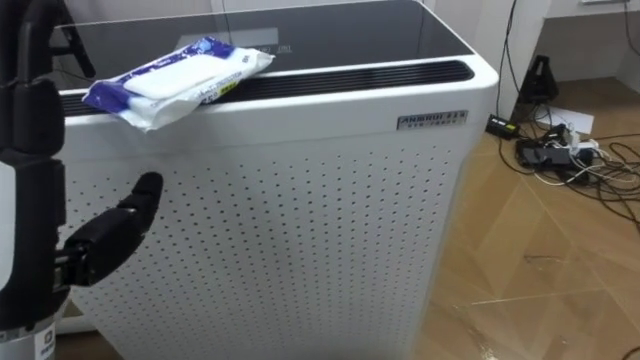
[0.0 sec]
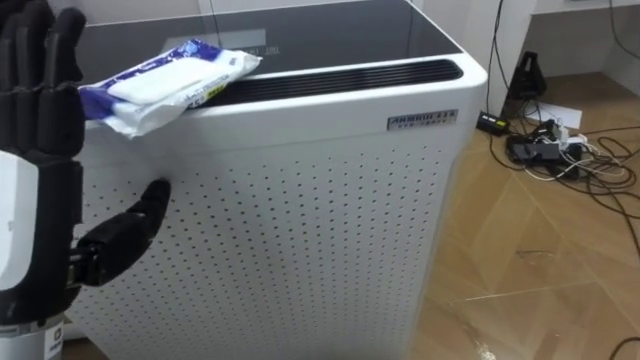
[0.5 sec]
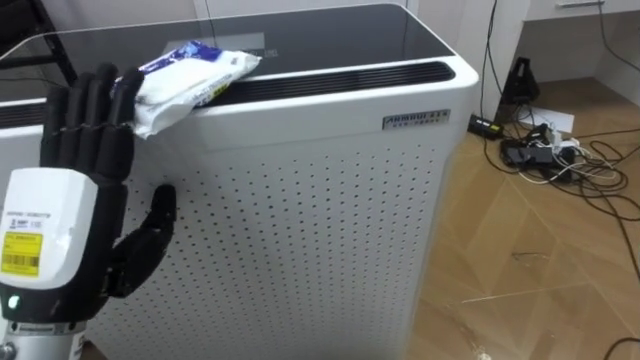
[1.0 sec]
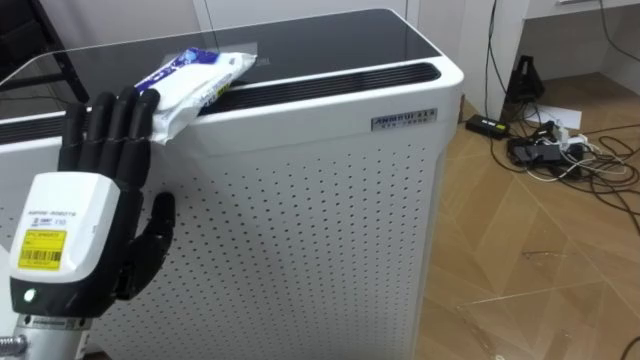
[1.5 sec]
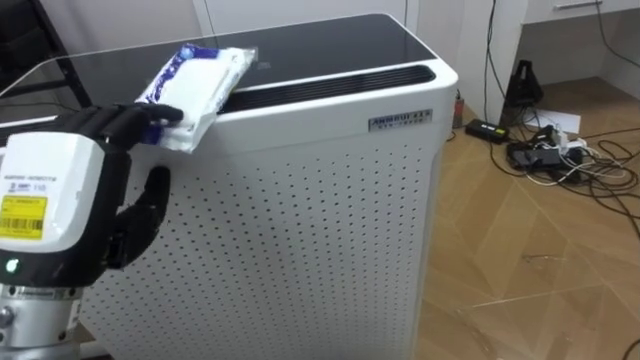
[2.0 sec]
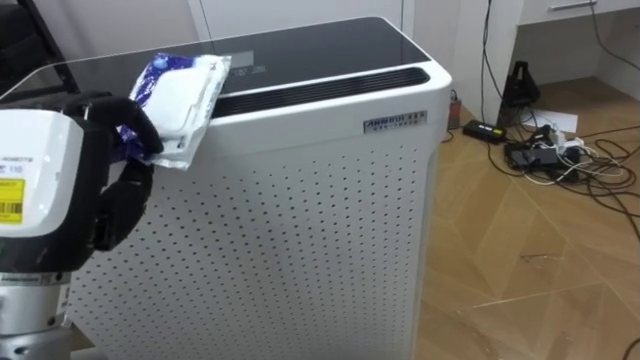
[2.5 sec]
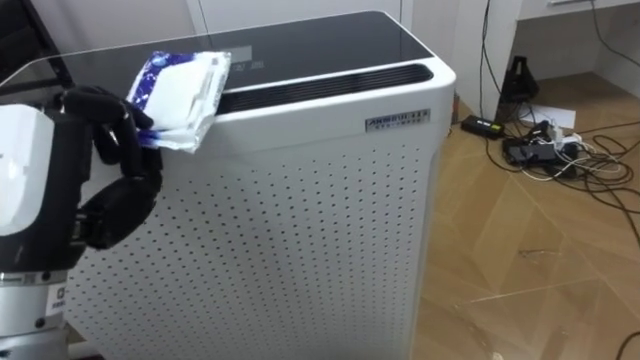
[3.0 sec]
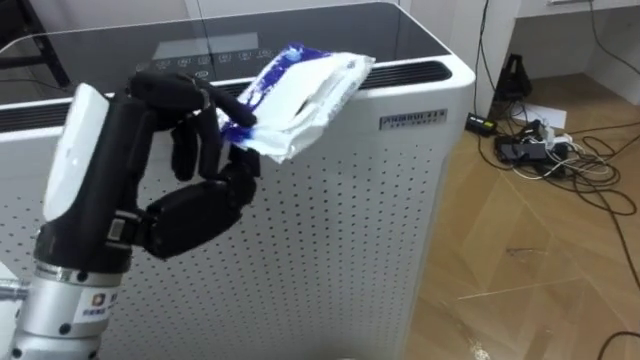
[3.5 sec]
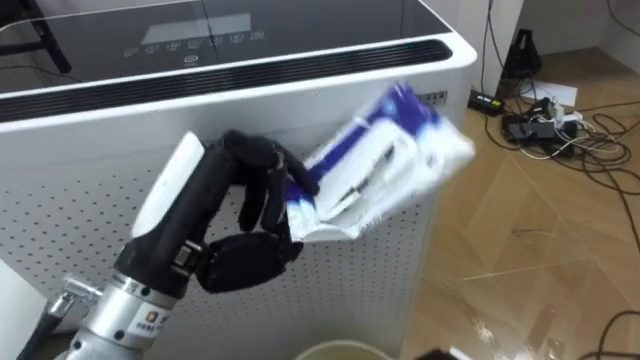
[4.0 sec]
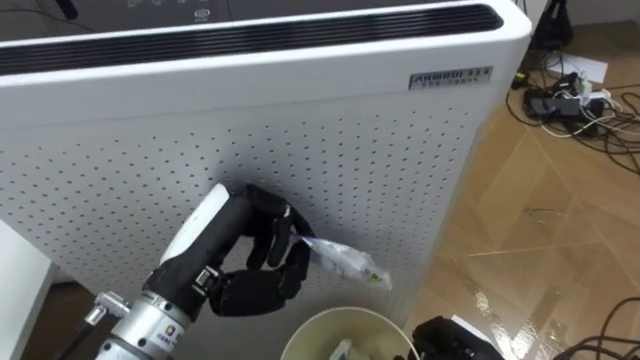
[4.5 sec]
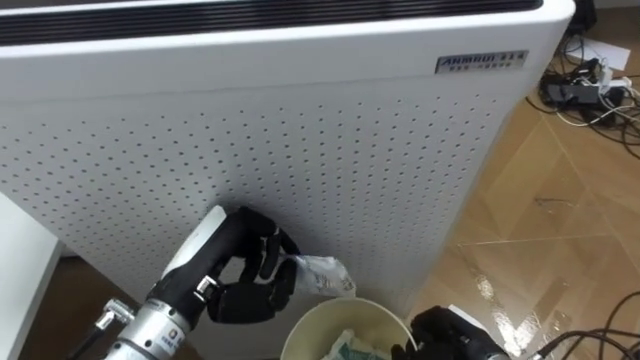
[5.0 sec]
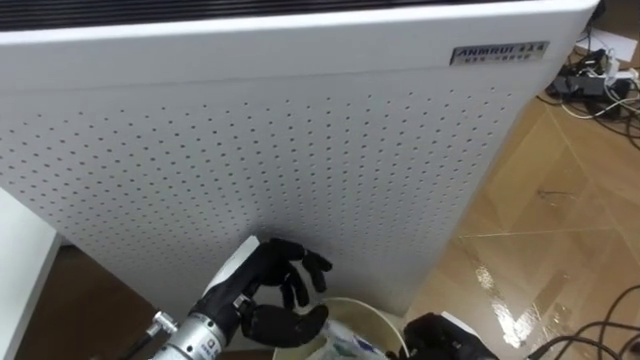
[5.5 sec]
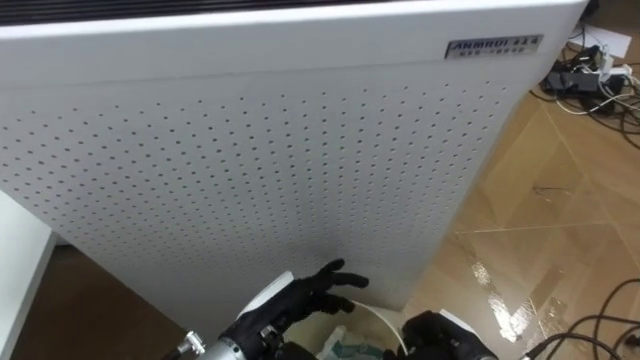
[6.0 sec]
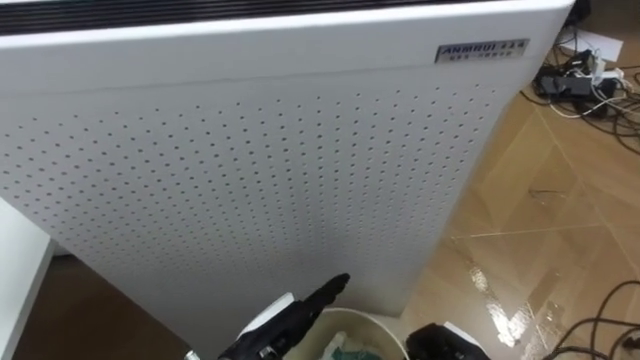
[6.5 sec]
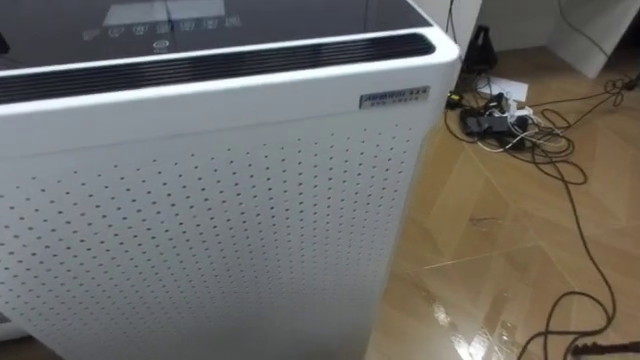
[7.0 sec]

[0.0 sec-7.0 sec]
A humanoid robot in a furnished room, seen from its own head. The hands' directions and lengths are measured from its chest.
Task of the whole recording: Pick up the light blue package, the candy box, and the dark blue package separately, and put them into the trash can held in your right hand.
0.0 sec to 2.0 sec: The left hand closes its fingers.
2.0 sec to 3.5 sec: The left hand heads to the right, covering roughly 5 cm, and closes up.
3.5 sec to 5.0 sec: The left hand moves downward, roughly 15 cm.

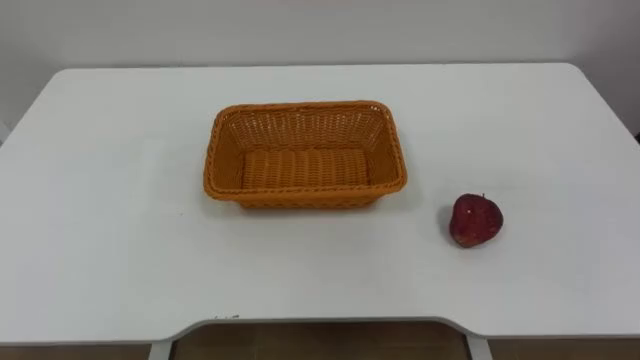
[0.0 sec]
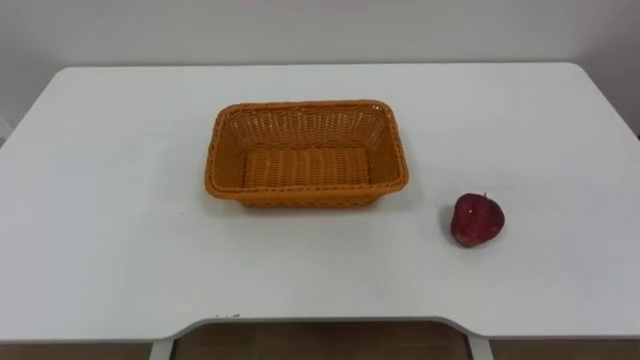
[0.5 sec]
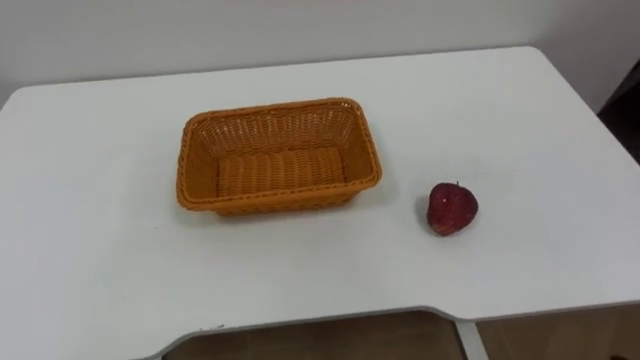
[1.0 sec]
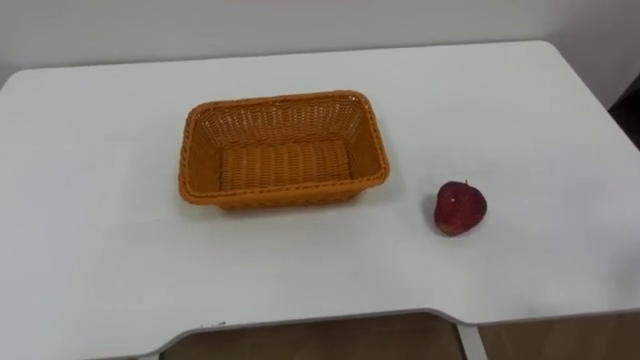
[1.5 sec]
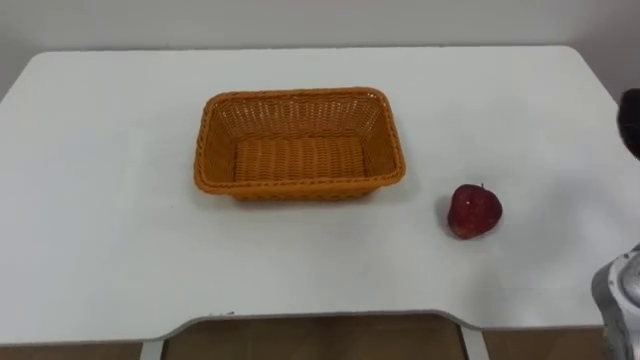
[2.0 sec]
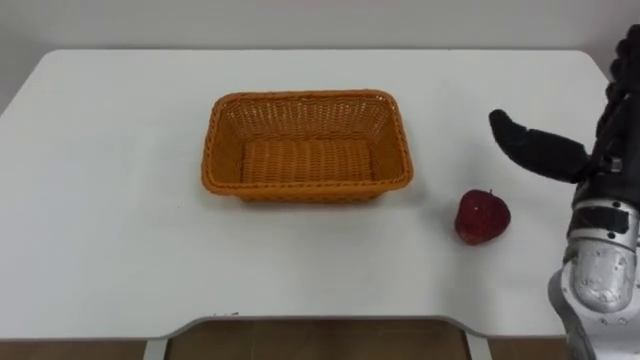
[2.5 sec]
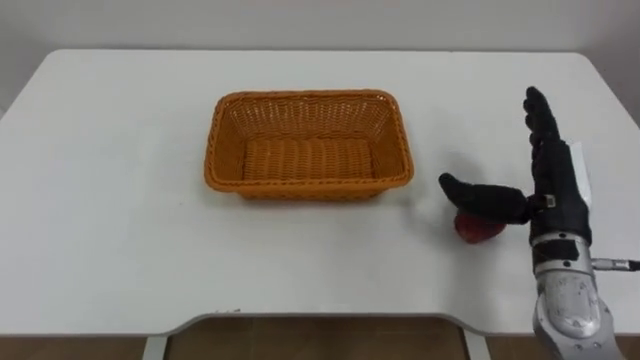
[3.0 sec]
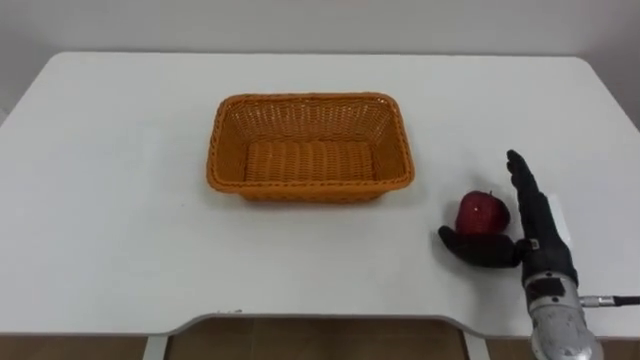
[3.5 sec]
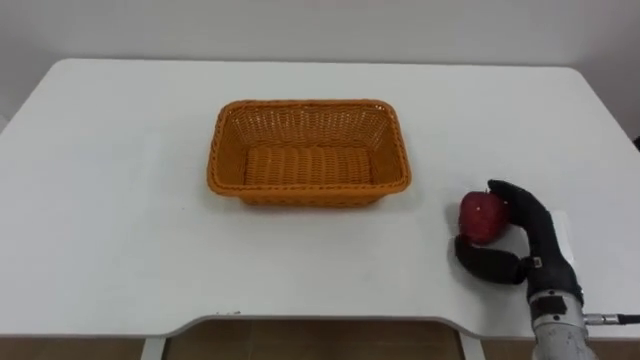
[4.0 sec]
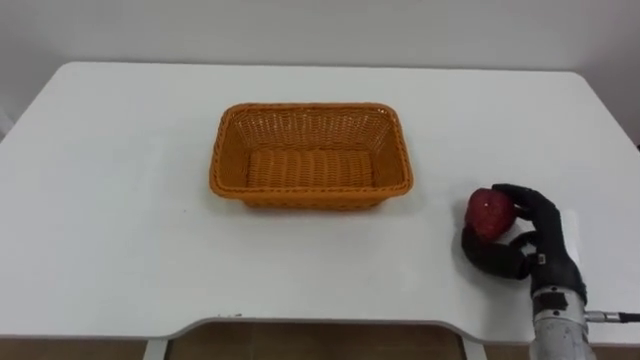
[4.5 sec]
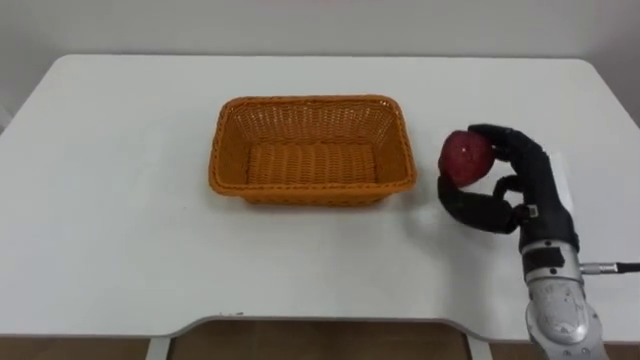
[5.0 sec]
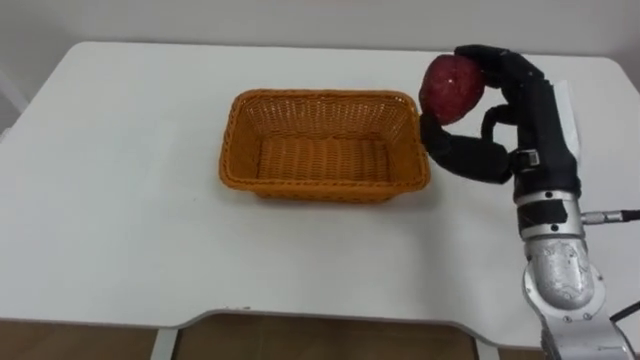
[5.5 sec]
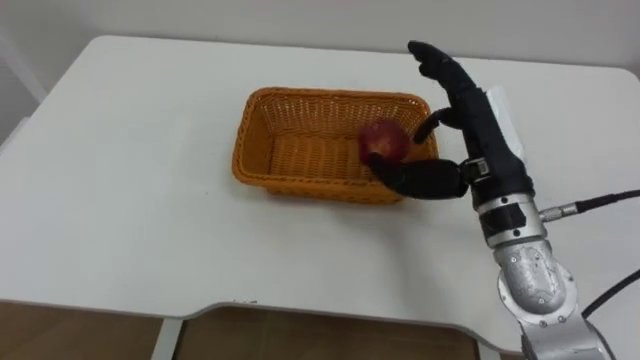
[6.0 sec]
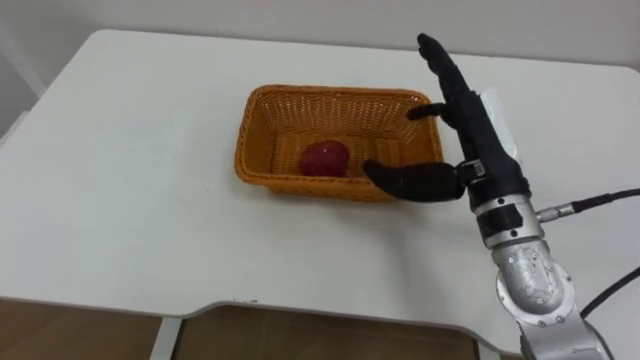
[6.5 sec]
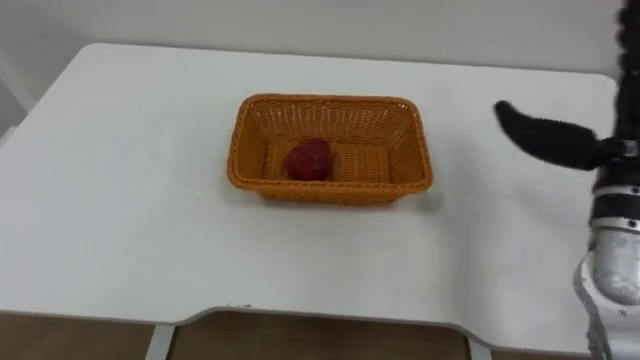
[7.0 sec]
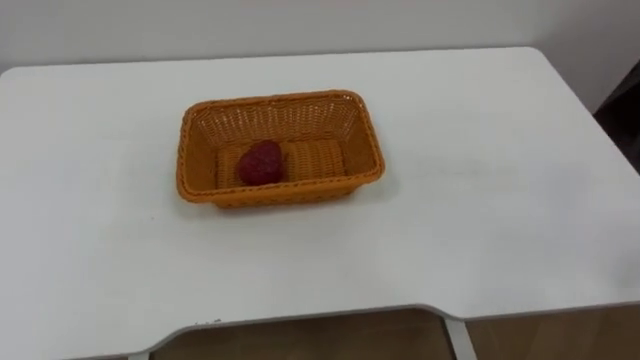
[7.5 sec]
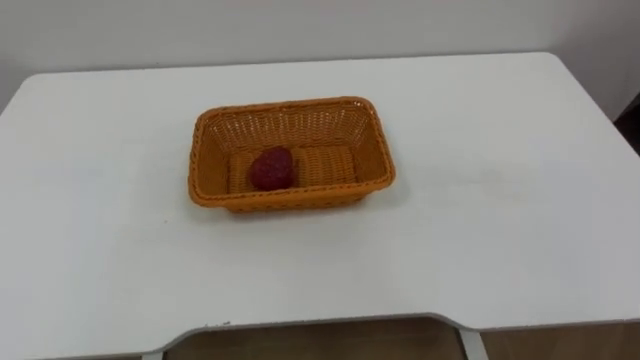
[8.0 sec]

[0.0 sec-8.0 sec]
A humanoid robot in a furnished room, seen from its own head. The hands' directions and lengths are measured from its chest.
Task of the whole recording: Pick the apple and place it in the box.
4.0 sec to 6.0 sec: The right hand is displaced upward and to the left by roughly 20 cm.

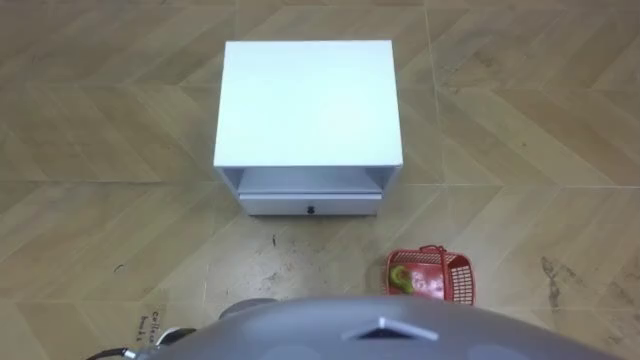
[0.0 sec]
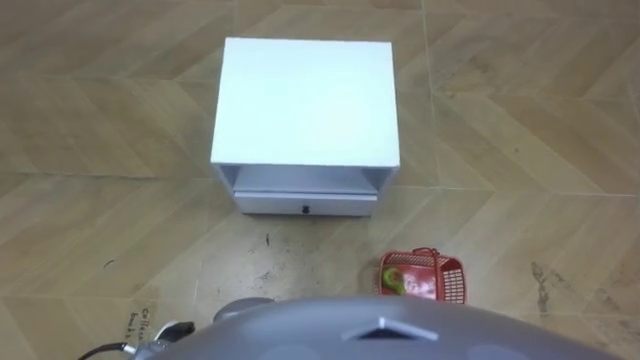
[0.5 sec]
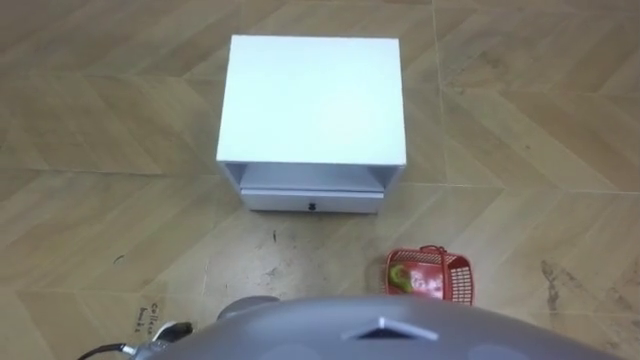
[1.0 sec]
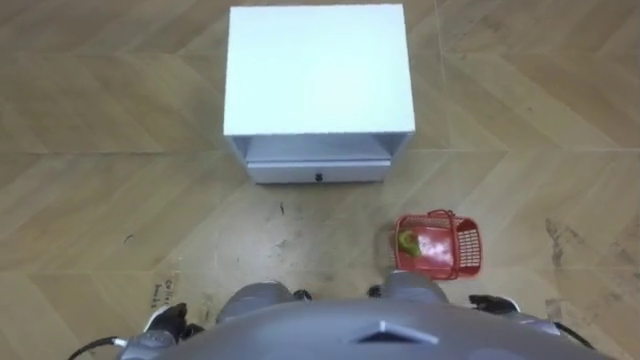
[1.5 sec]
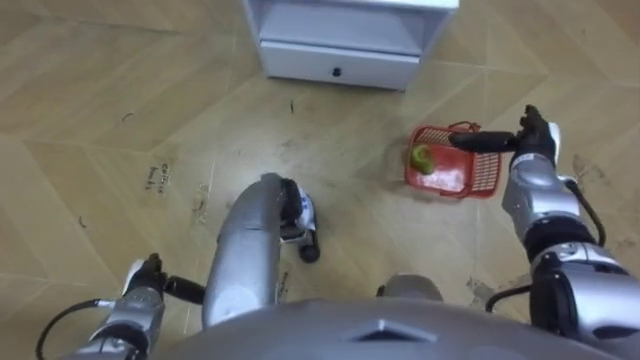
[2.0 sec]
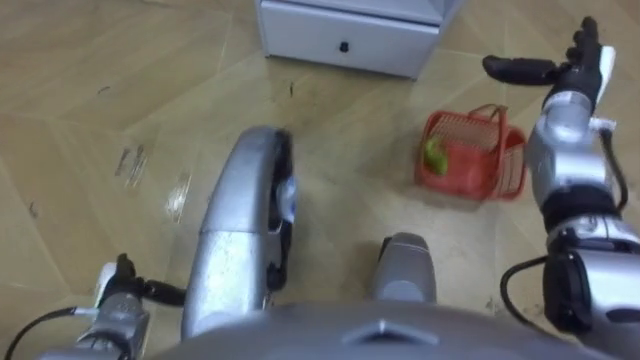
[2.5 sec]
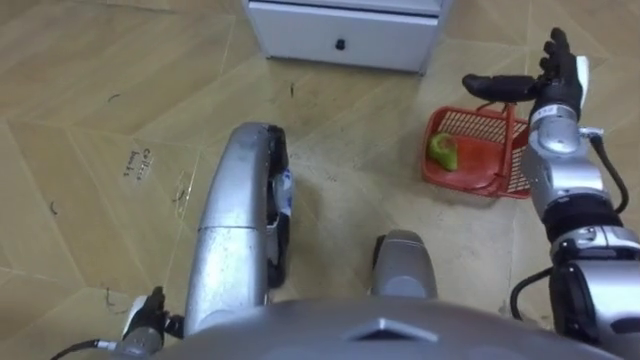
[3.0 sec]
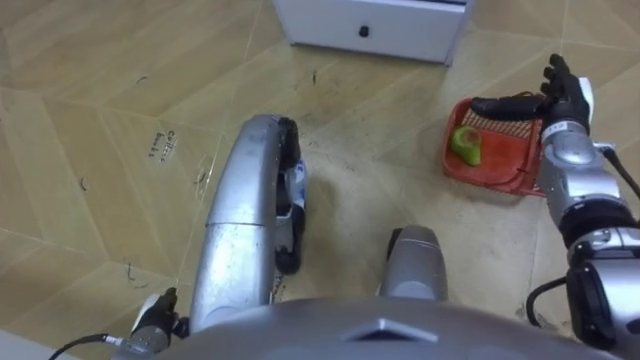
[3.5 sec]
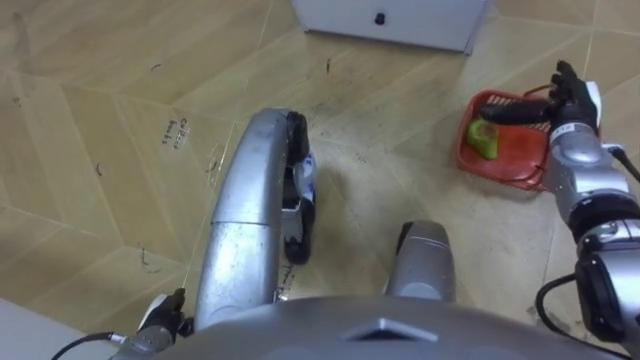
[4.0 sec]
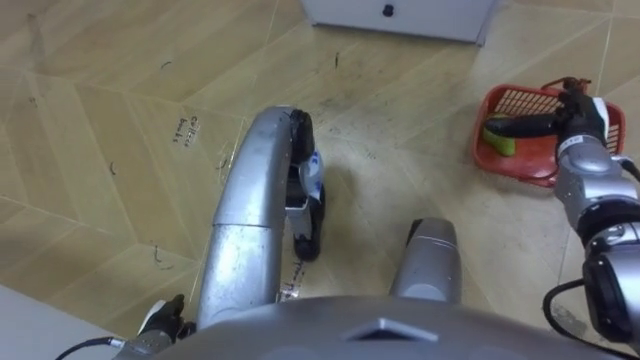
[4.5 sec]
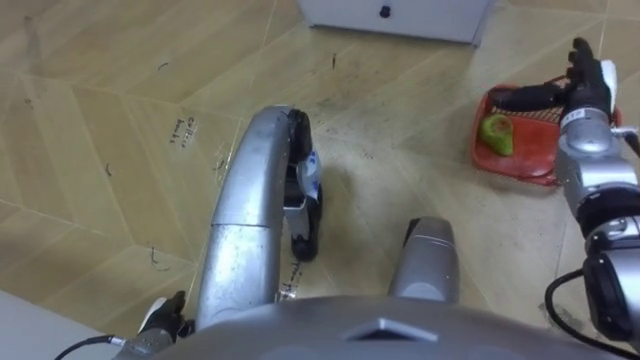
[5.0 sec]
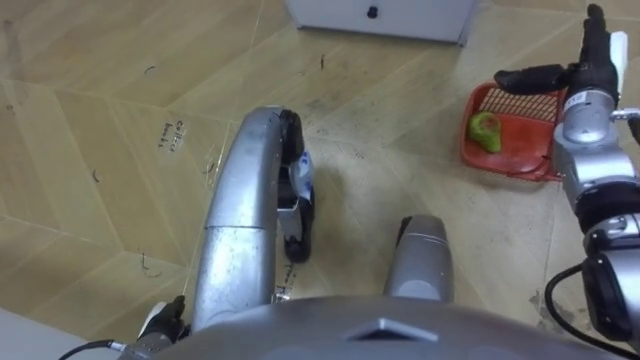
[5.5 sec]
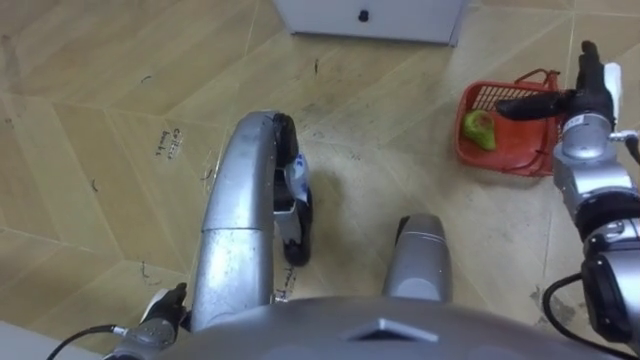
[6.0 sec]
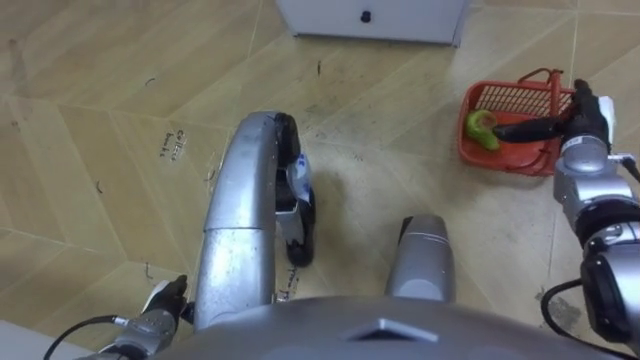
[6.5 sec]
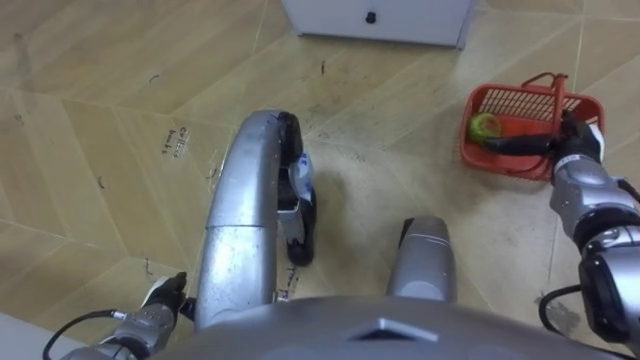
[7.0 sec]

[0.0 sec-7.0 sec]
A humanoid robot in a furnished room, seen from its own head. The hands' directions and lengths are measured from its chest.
Task of the whole recording: Pick up the fruit basket from the floor and place it on the cabinet.
2.0 sec to 3.5 sec: The left hand heads backward, covering approximately 5 cm.
5.0 sec to 7.0 sec: The right hand shifts about 10 cm downward and backward.
